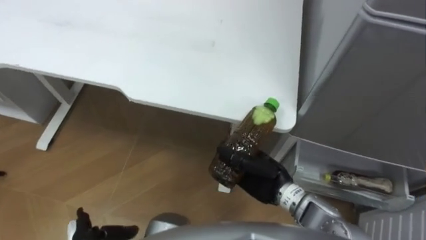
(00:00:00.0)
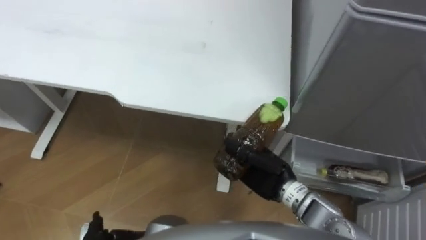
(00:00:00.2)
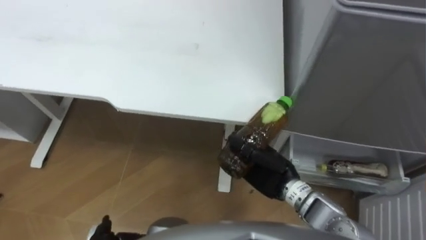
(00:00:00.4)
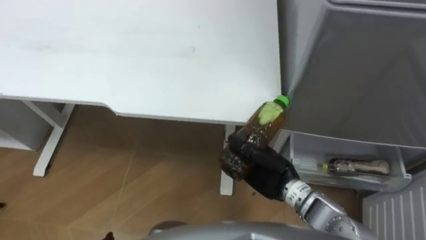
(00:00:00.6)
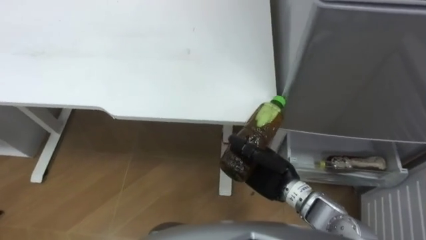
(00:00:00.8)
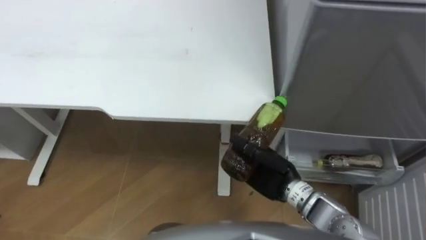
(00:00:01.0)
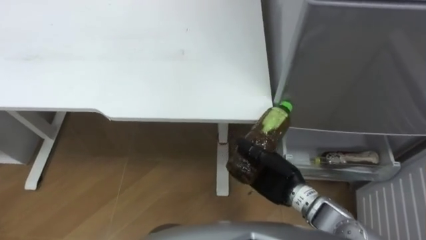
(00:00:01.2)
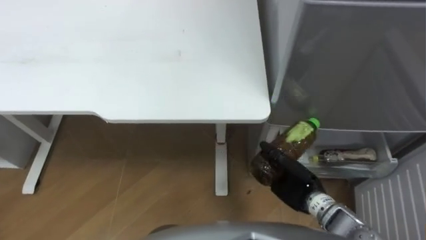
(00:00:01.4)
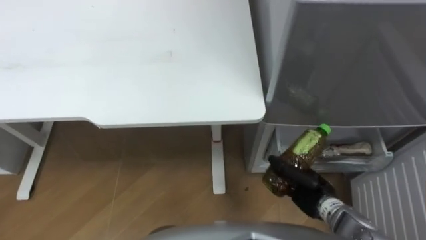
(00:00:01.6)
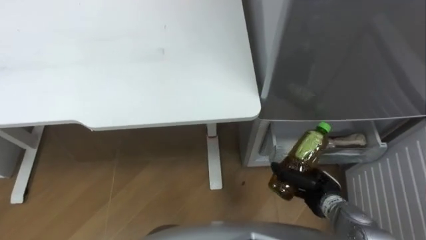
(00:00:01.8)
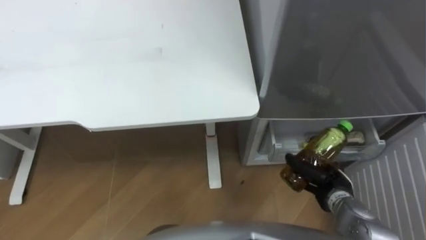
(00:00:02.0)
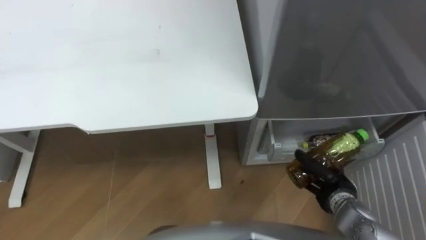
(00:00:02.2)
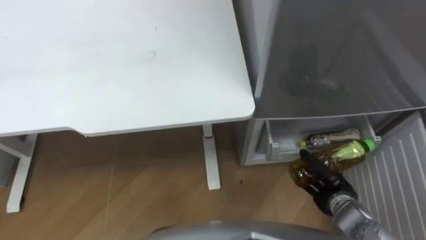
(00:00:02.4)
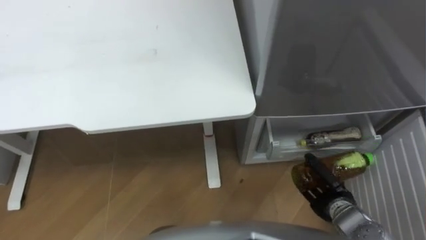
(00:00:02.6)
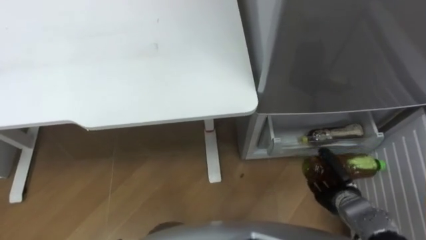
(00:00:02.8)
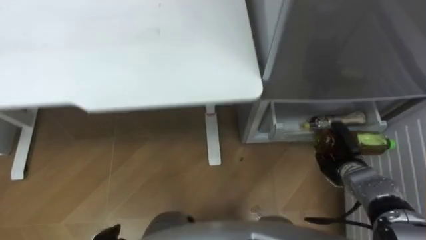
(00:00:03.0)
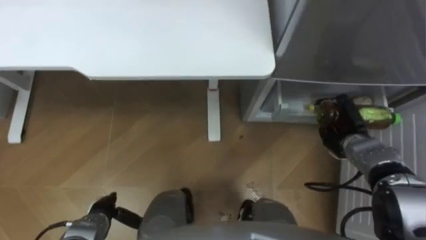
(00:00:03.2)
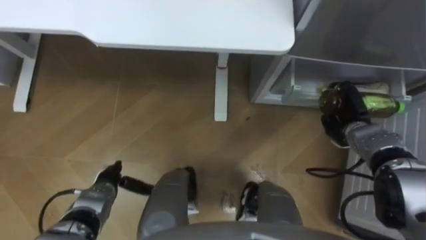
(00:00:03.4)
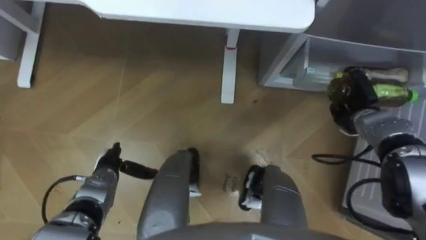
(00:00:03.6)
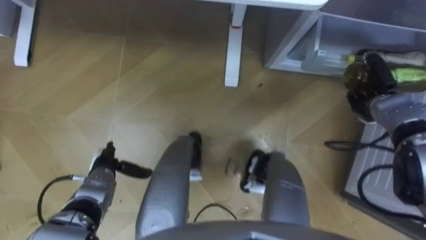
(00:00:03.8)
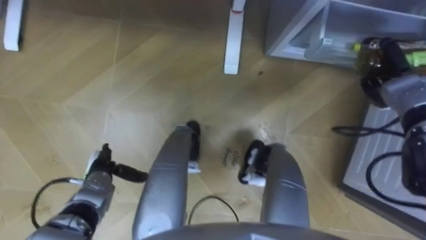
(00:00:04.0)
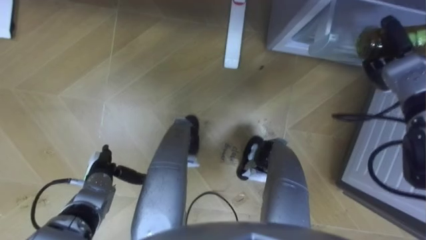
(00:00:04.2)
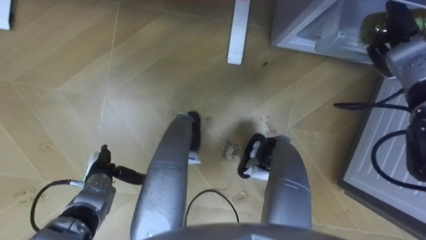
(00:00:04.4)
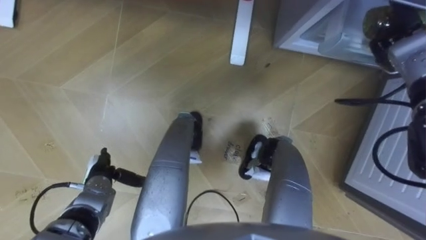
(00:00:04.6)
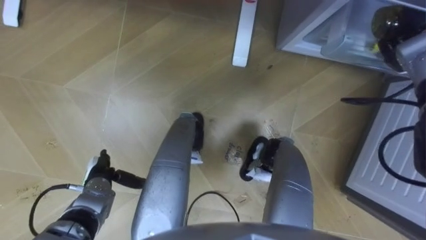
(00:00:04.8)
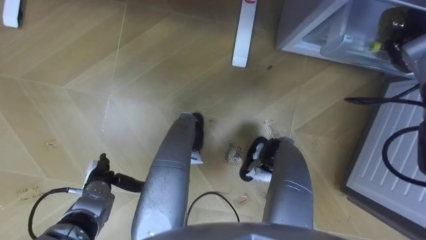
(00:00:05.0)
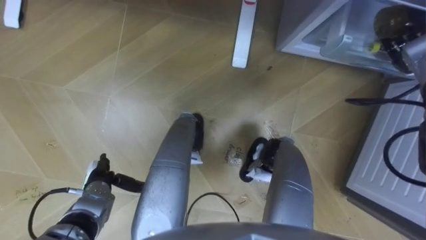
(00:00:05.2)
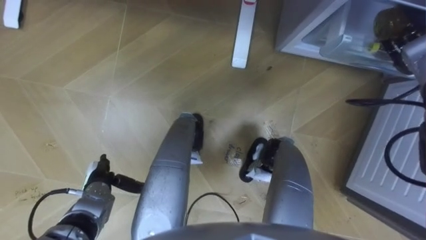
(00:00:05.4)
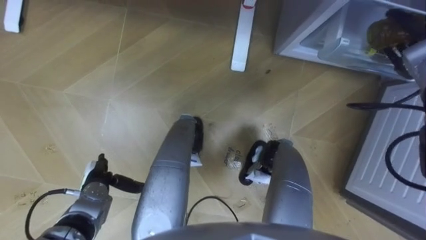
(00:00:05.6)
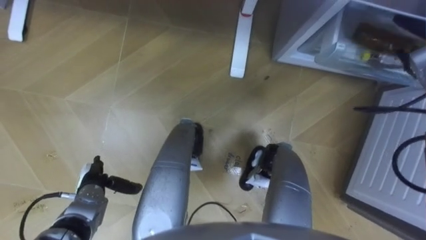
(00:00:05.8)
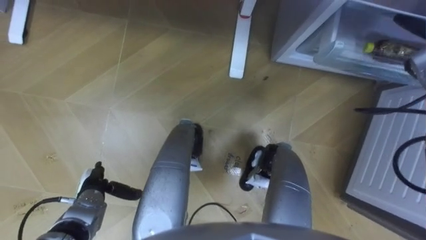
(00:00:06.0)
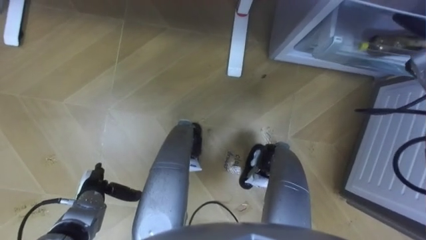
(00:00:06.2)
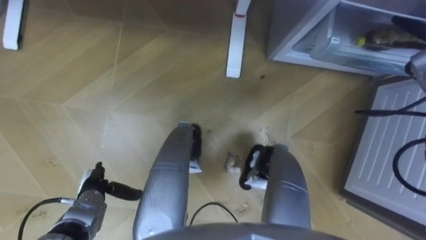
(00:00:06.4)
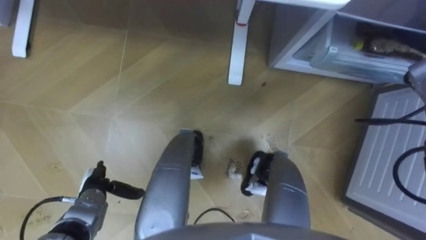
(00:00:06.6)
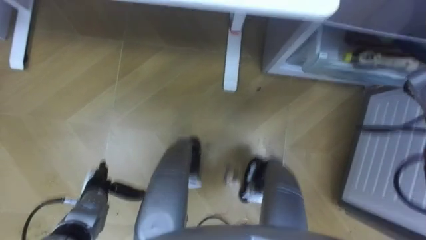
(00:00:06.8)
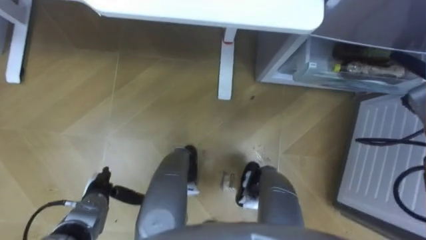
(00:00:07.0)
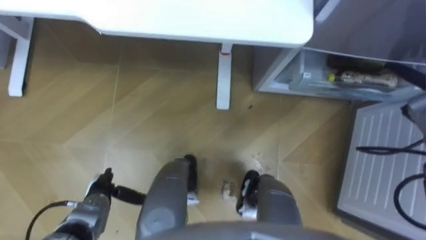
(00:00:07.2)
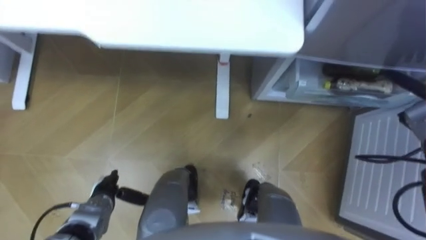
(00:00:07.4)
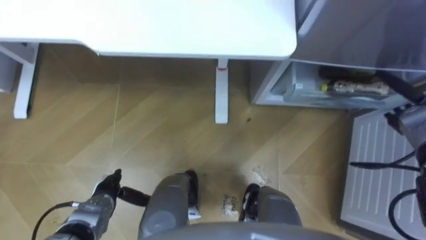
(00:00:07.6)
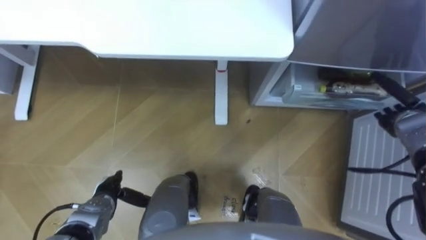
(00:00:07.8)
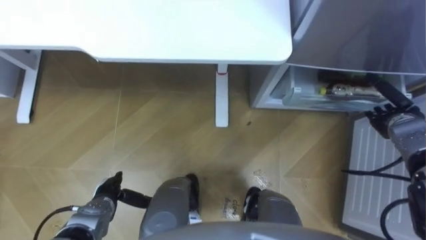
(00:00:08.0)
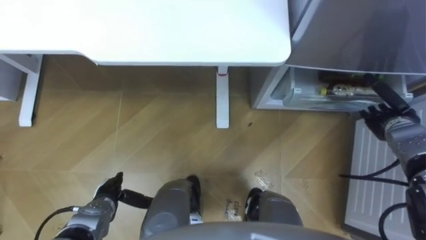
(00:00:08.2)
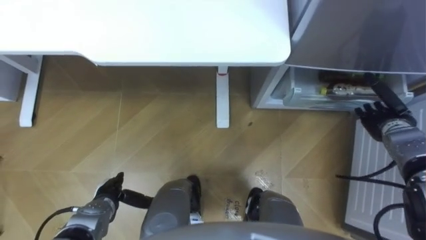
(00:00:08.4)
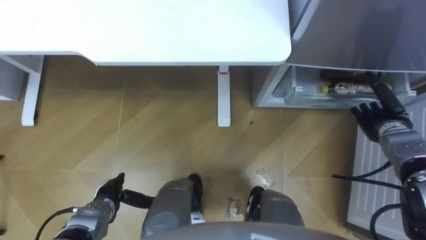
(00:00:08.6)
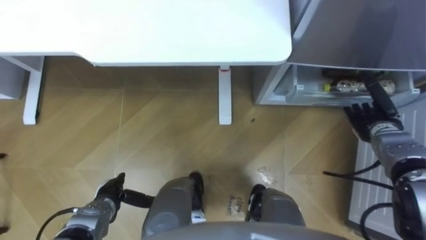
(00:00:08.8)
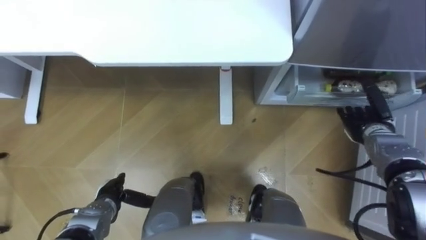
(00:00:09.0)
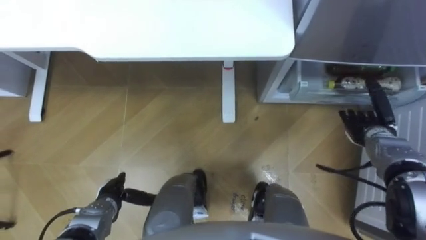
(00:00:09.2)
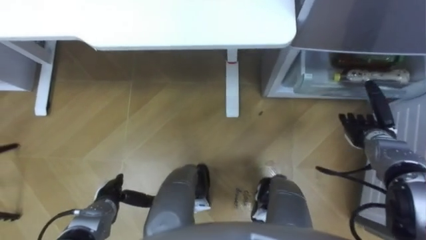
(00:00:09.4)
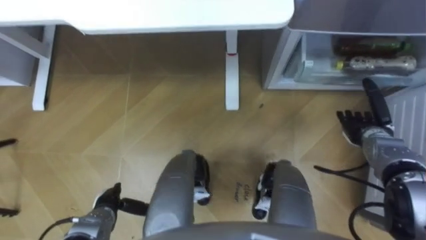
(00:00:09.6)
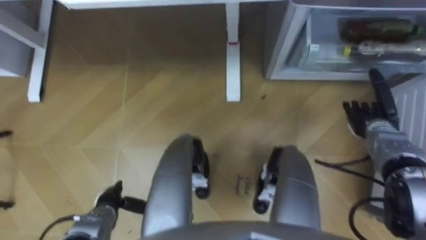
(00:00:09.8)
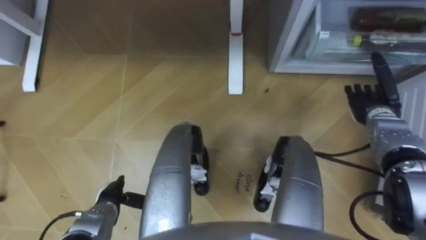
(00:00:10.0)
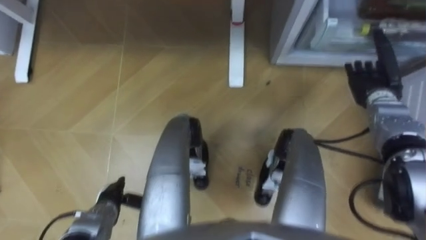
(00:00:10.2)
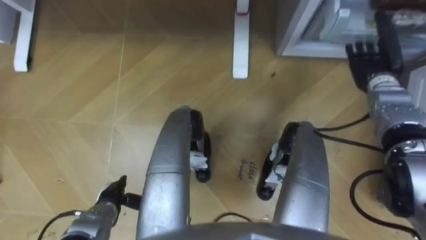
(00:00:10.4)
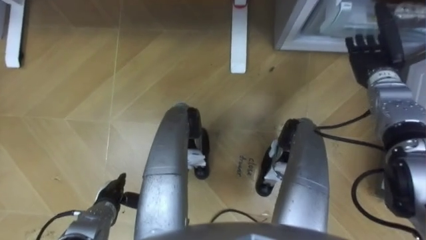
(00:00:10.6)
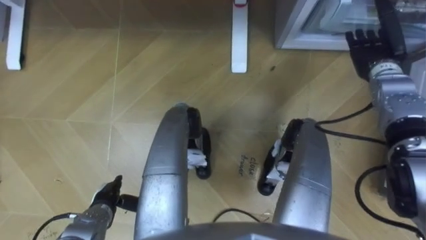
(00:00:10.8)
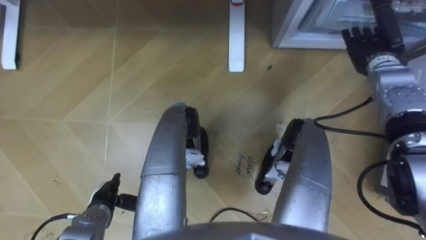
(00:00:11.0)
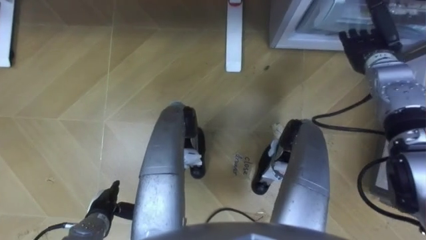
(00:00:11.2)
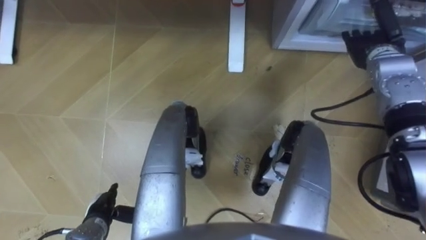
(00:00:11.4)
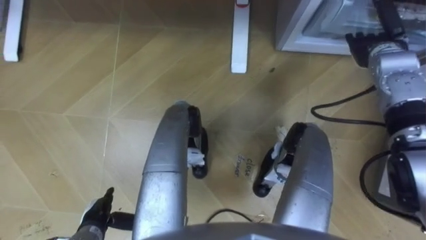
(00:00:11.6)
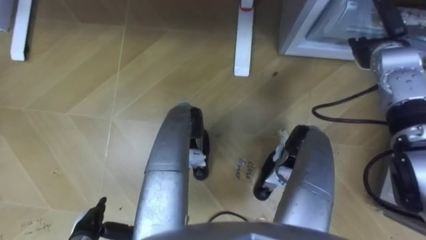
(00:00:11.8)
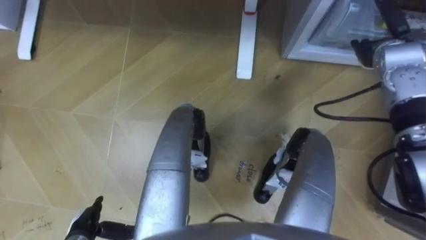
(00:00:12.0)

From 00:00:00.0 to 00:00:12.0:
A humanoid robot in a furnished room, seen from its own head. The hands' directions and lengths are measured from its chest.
Task of the whole recording: Place the drink on the table on the bottom shelf of the refrigerator, then close the drawer and the refrigerator door.
From 00:00:00.0 to 00:00:01.6: The right hand shifts about 15 cm to the right and downward.
From 00:00:01.6 to 00:00:03.0: The right hand heads to the right, covering roughly 10 cm.
From 00:00:03.0 to 00:00:04.4: The right hand is displaced forward and upward by approximately 25 cm.
From 00:00:07.6 to 00:00:09.0: The right hand heads to the left, covering roughly 5 cm.
From 00:00:09.0 to 00:00:10.4: The right hand moves upward and forward, about 10 cm.
From 00:00:10.4 to 00:00:12.0: The left hand is displaced backward by roughly 5 cm. Meanwhile the right hand moves approximately 5 cm.

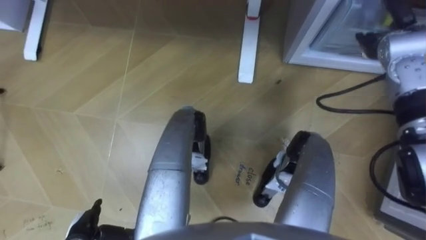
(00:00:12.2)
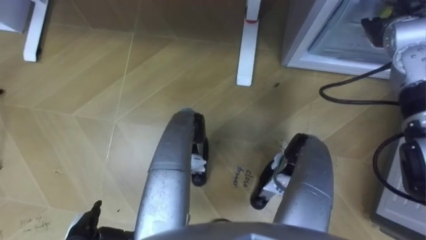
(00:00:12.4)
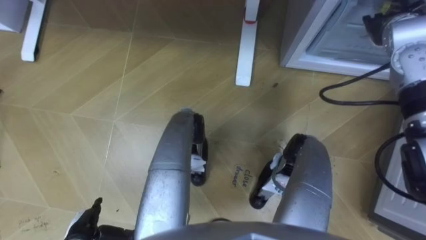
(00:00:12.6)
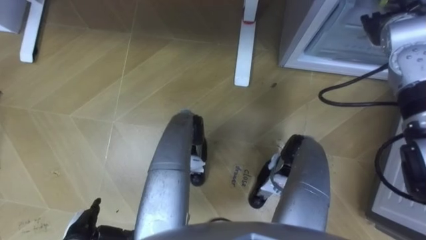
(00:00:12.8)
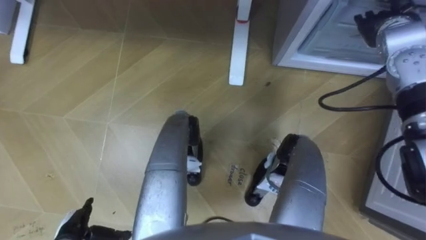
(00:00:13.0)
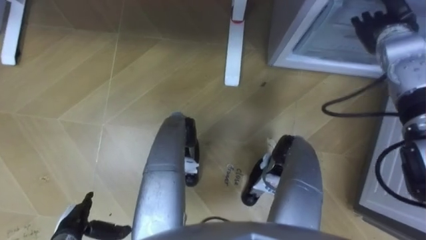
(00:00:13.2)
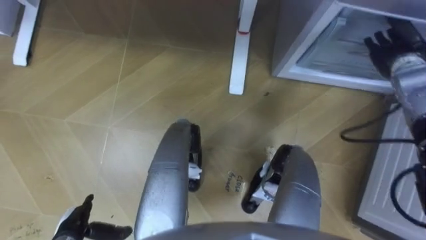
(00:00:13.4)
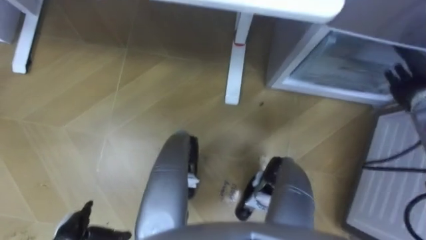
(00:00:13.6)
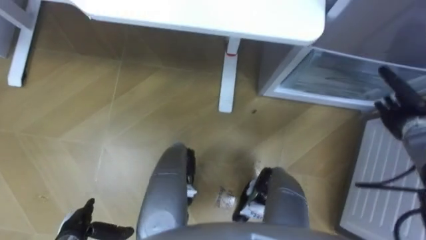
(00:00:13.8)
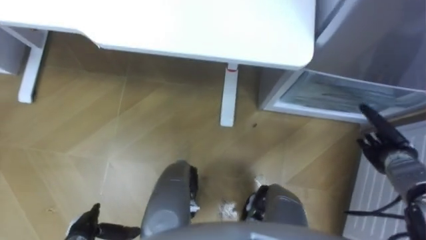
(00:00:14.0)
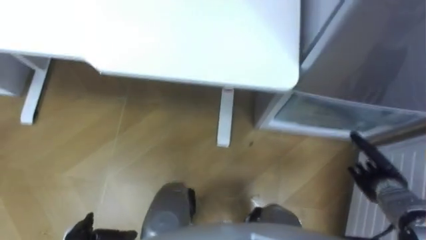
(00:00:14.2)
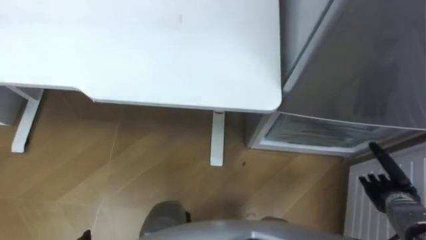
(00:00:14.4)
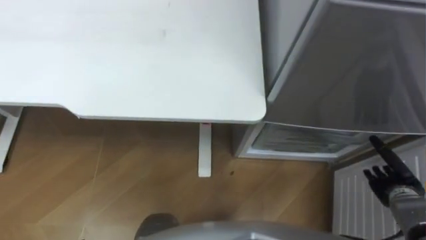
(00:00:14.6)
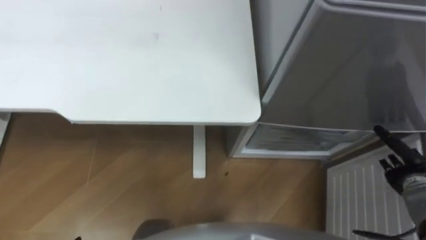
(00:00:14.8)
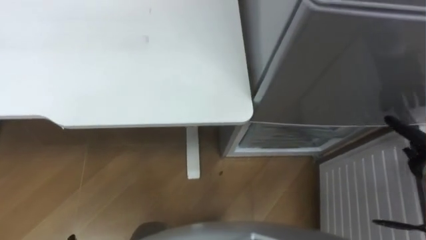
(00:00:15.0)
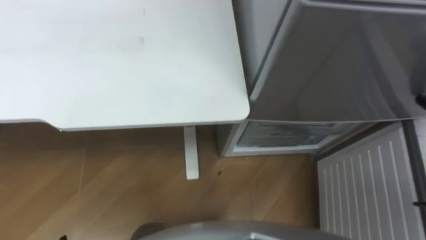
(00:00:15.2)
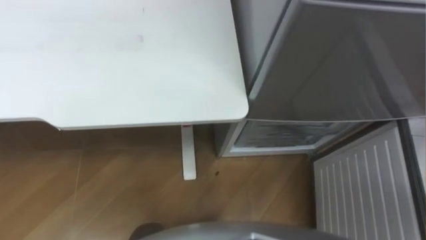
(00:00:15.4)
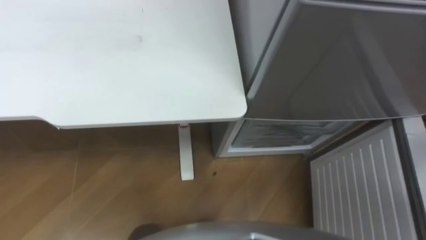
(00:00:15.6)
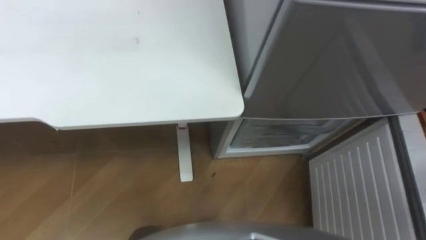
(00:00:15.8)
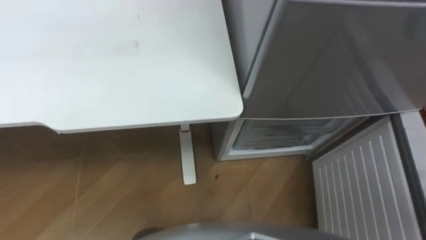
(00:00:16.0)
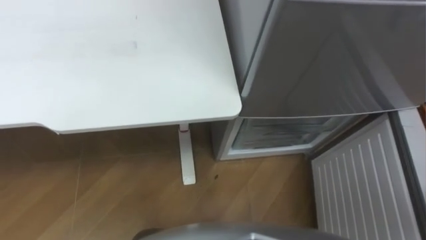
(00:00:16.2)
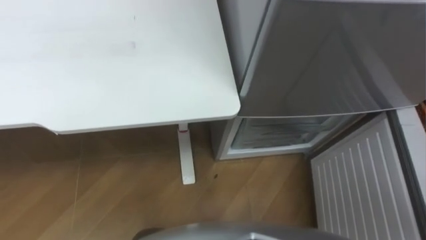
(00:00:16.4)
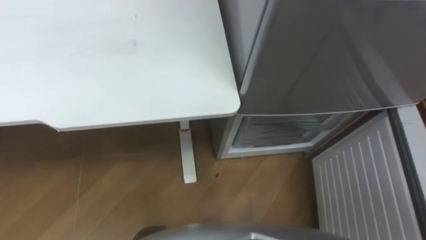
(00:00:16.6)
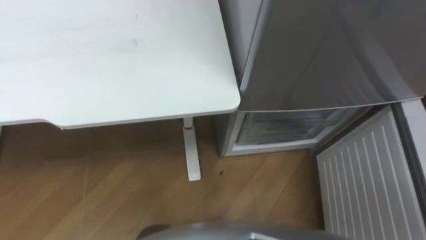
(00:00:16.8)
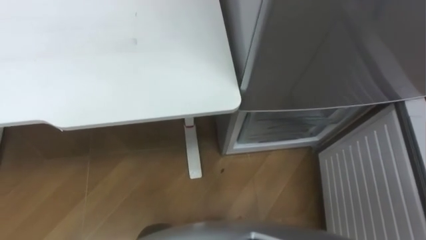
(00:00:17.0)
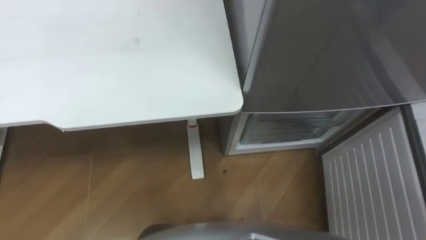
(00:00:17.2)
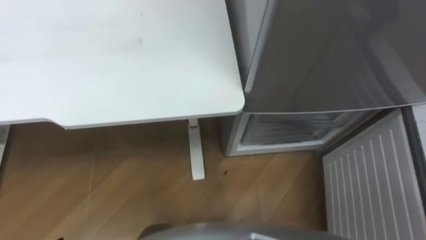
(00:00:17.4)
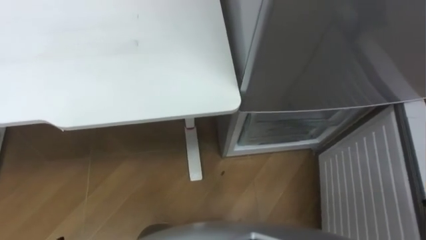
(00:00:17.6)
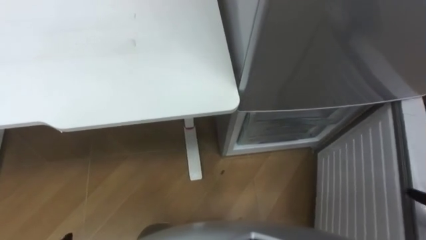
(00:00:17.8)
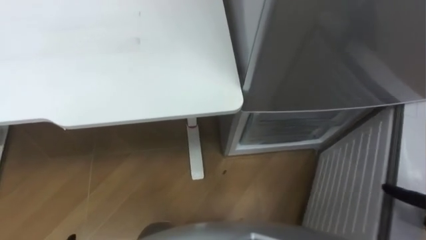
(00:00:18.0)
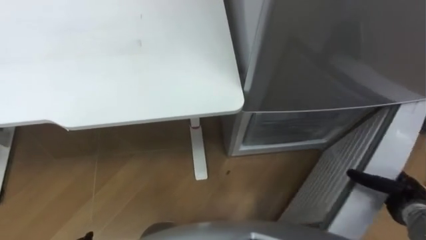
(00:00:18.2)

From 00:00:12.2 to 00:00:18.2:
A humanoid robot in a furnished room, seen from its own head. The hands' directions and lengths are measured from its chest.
Task of the whole recording: Place the drink on the table on the bottom shelf of the refrigerator, then close the drawer and the refrigerator door.
From 00:00:12.2 to 00:00:13.8: The right hand heads downward, backward and to the right, covering about 20 cm.
